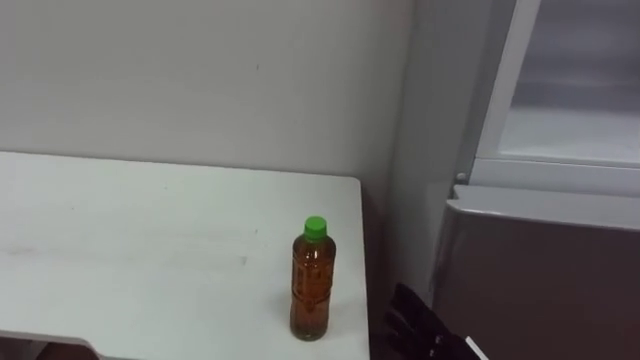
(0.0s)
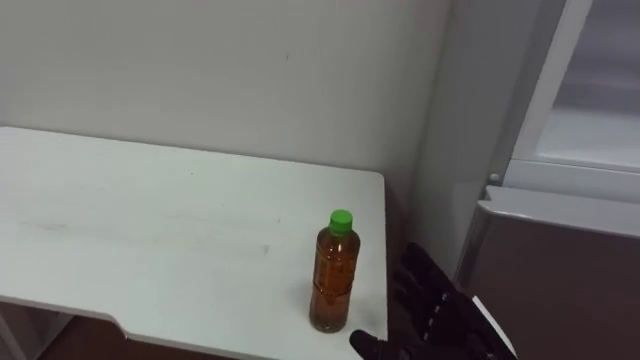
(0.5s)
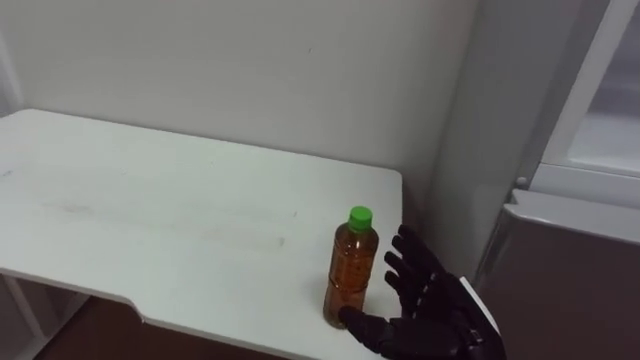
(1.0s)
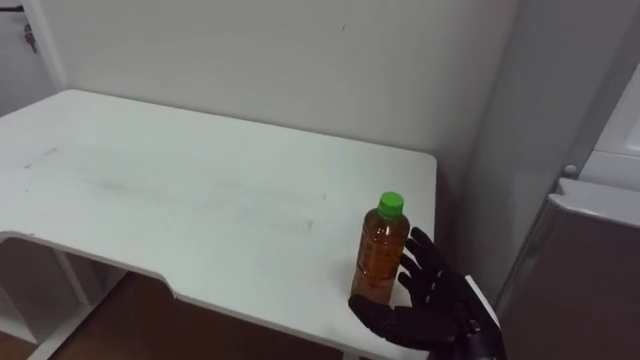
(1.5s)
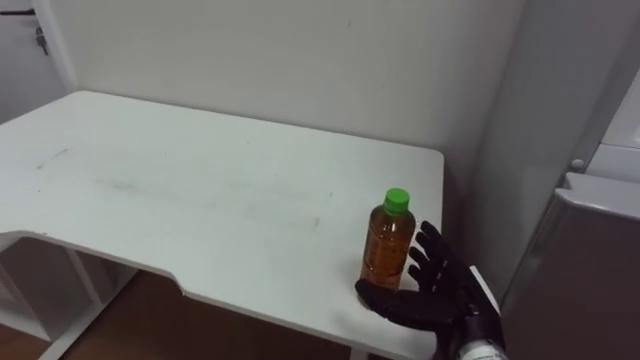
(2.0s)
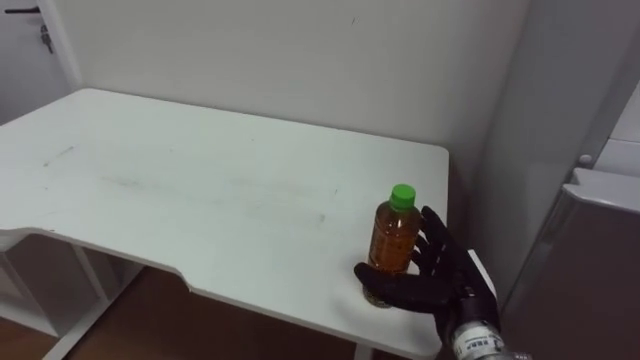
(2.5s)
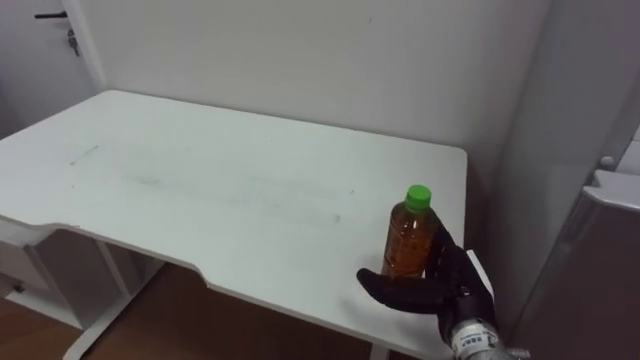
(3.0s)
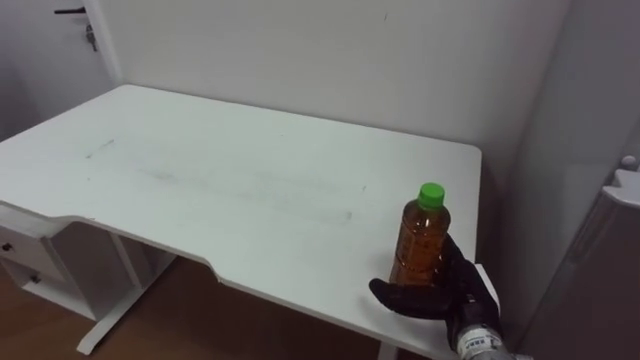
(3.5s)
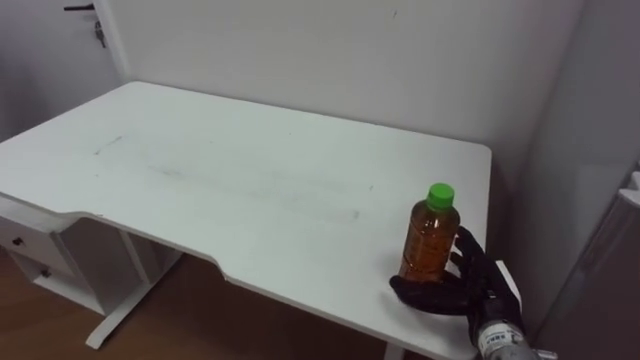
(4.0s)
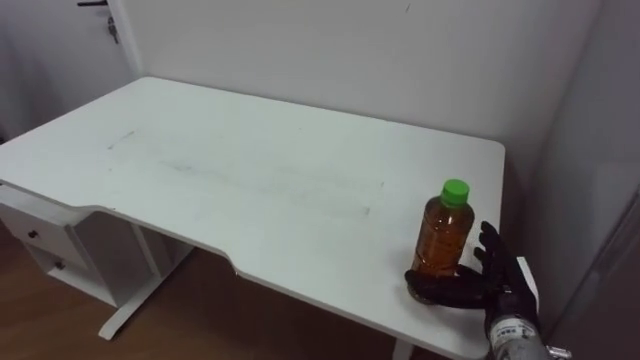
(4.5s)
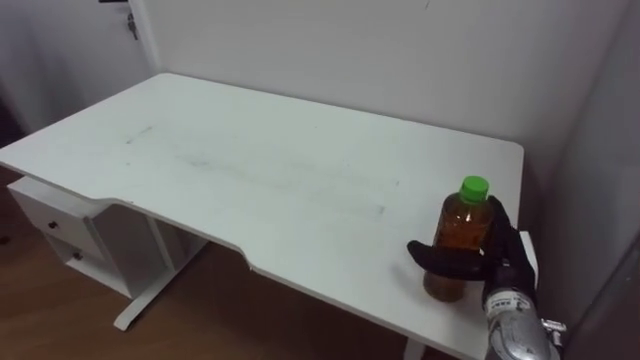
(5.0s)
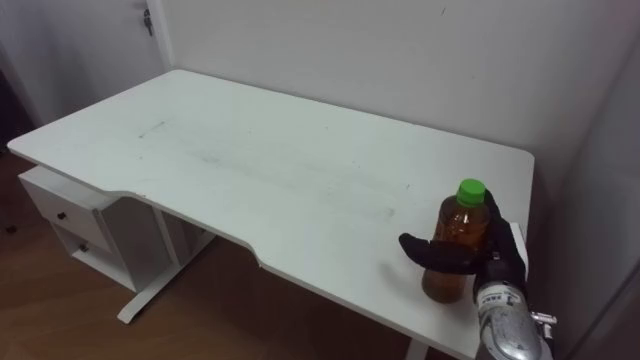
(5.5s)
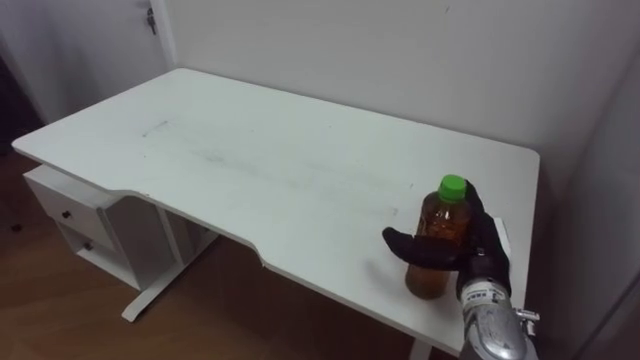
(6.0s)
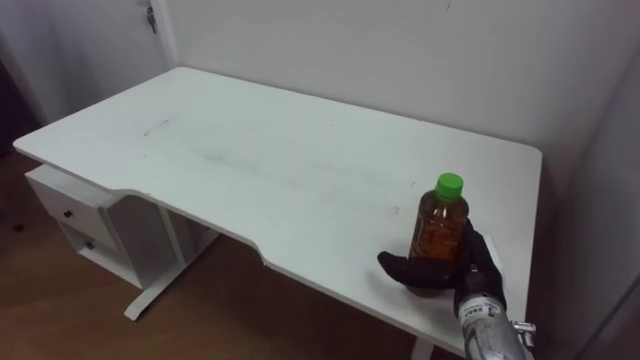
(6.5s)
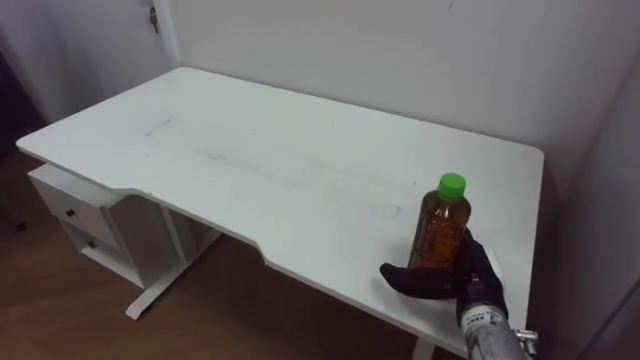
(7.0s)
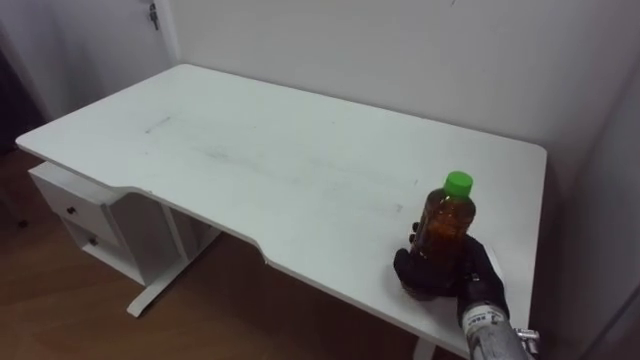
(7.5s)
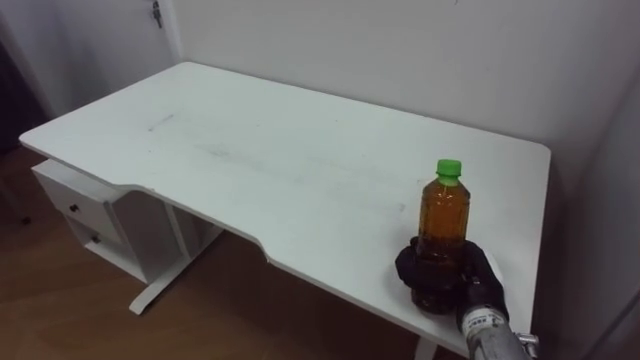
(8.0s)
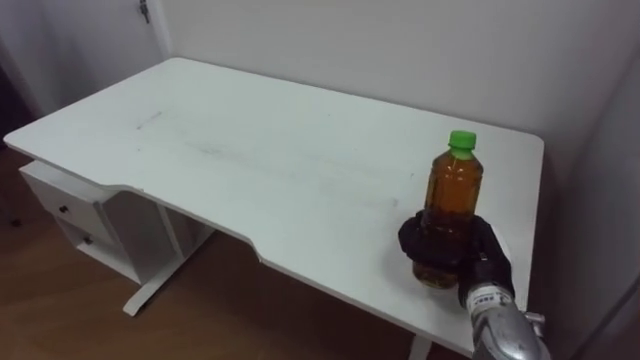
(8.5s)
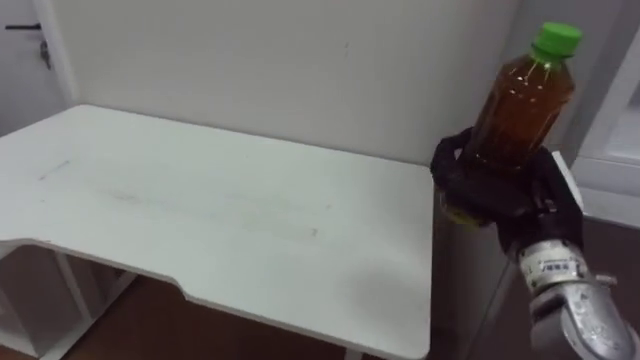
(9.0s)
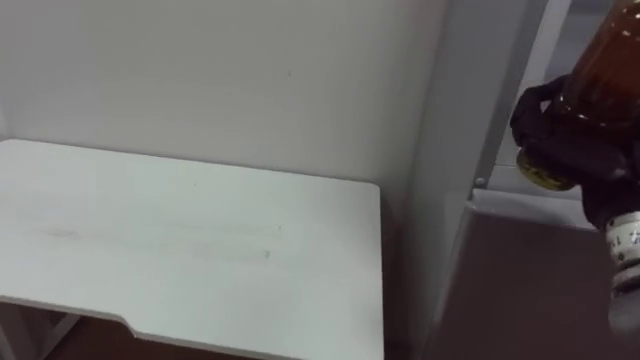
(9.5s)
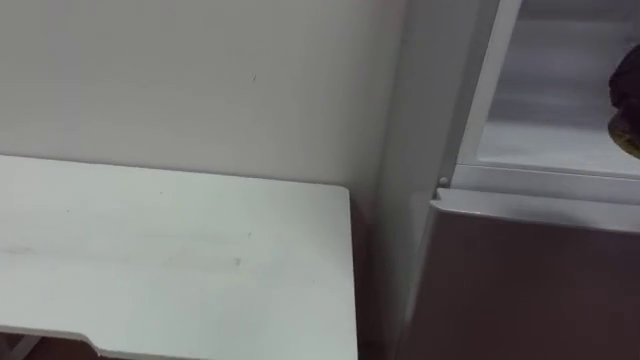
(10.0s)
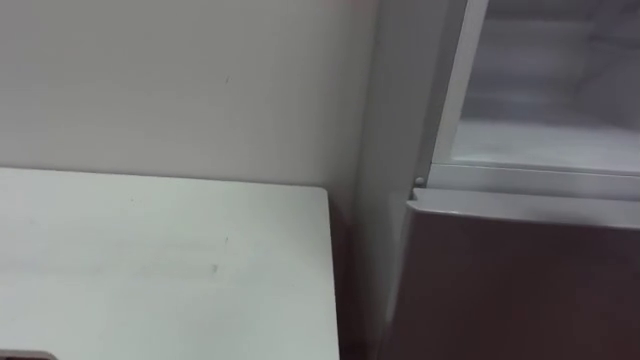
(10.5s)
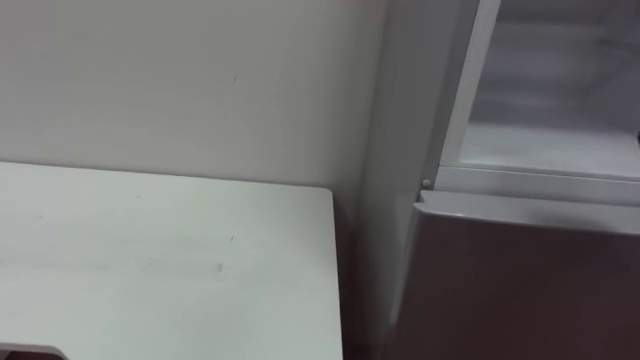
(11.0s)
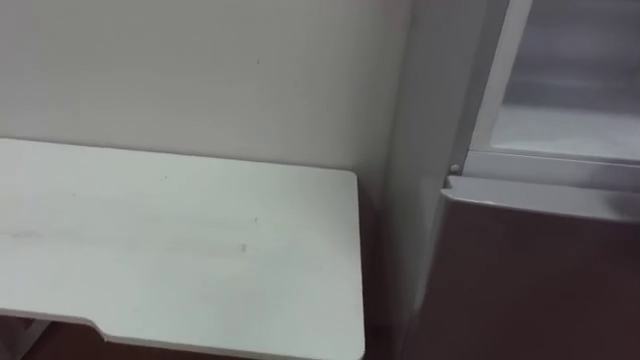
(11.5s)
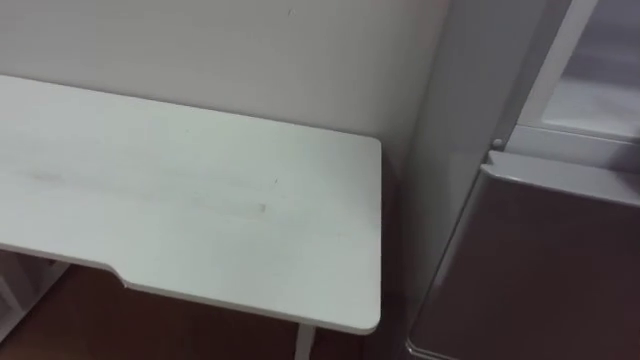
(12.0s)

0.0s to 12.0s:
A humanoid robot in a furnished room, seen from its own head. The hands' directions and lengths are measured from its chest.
Task of the whole recording: Open the upper refrigerator door, put the drink from the table into the refrigerator, and then close the refrigerator door.
2.0s to 4.0s: The right hand changes place by about 5 cm.
4.0s to 6.0s: The right hand moves upward, approximately 5 cm.
6.0s to 8.0s: The right hand closes.
